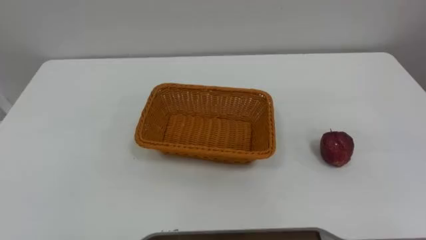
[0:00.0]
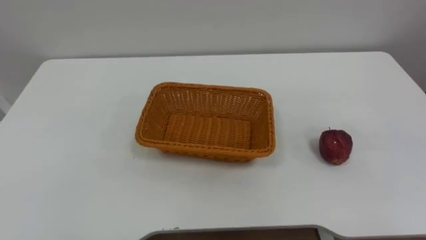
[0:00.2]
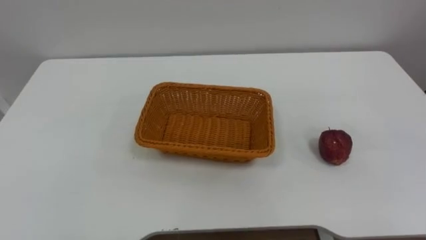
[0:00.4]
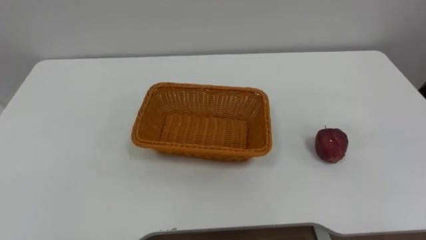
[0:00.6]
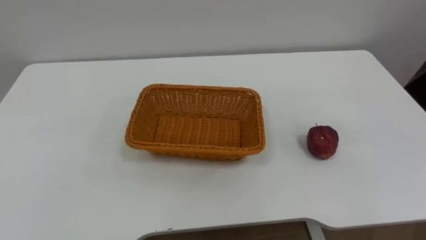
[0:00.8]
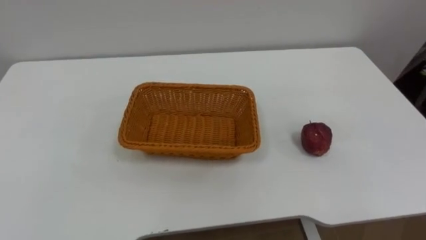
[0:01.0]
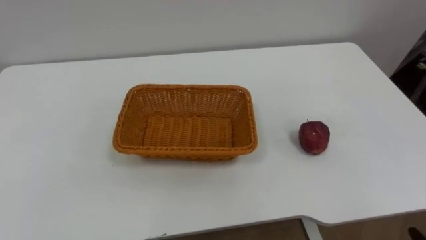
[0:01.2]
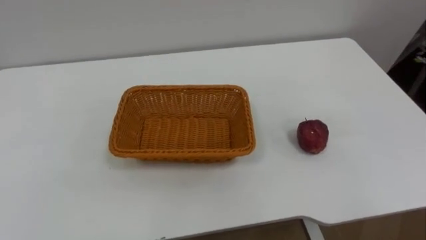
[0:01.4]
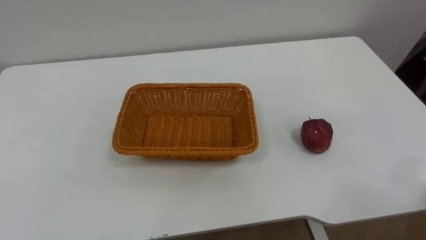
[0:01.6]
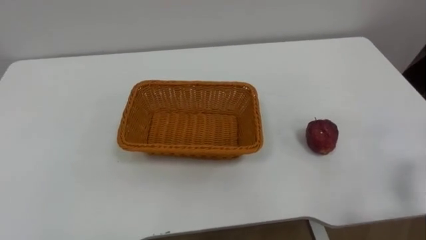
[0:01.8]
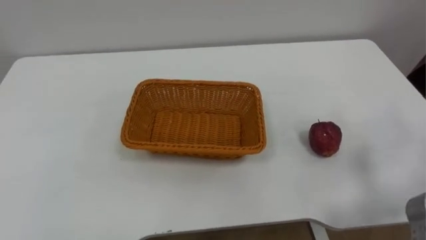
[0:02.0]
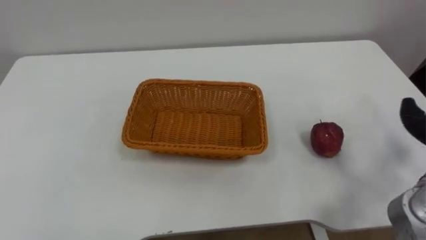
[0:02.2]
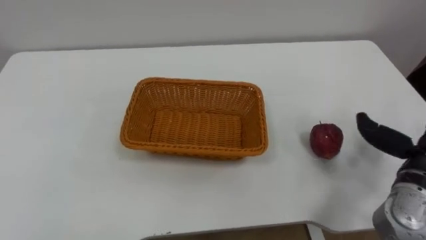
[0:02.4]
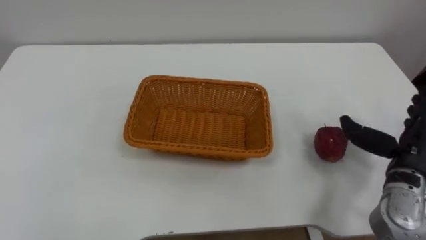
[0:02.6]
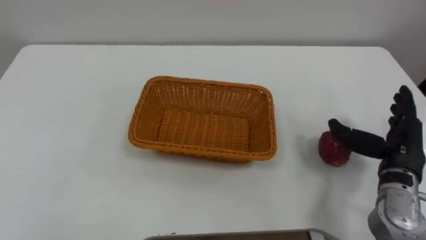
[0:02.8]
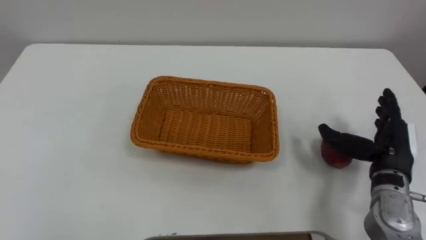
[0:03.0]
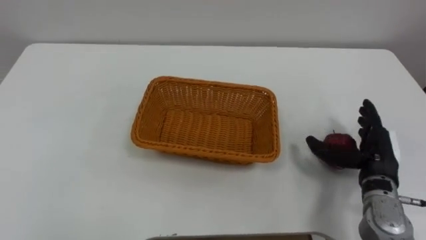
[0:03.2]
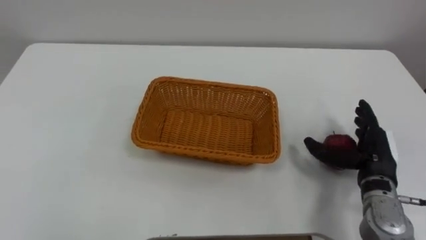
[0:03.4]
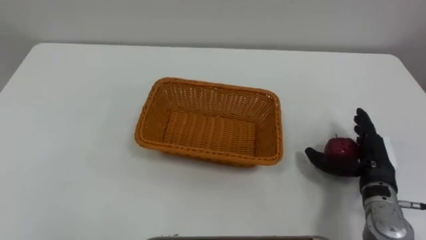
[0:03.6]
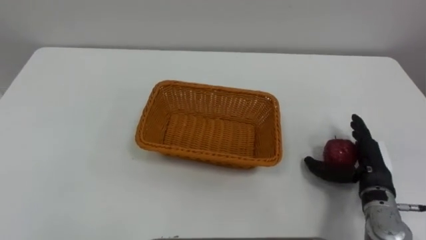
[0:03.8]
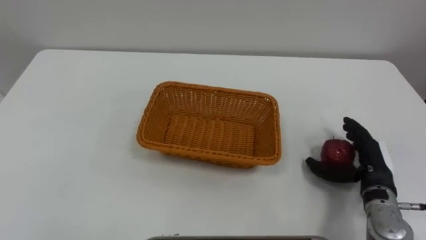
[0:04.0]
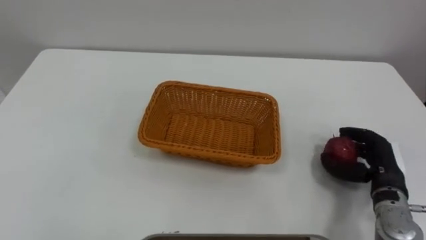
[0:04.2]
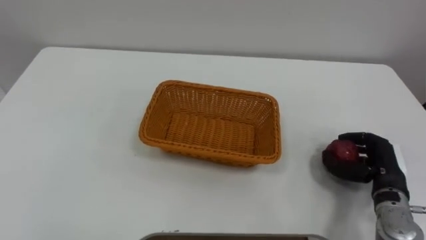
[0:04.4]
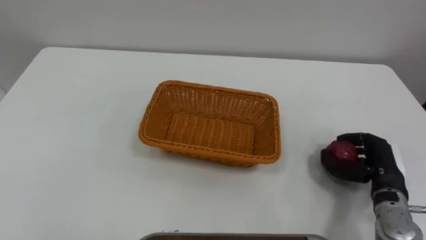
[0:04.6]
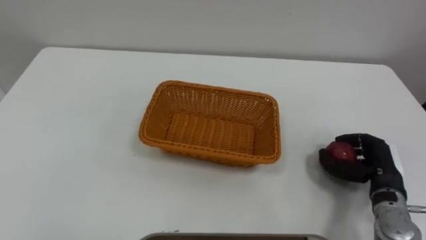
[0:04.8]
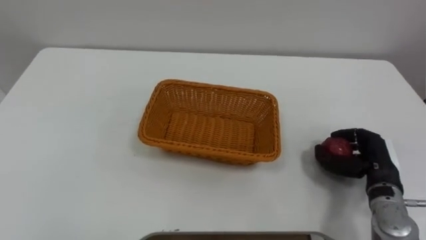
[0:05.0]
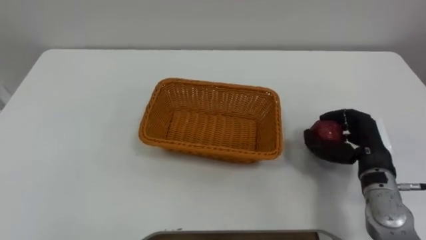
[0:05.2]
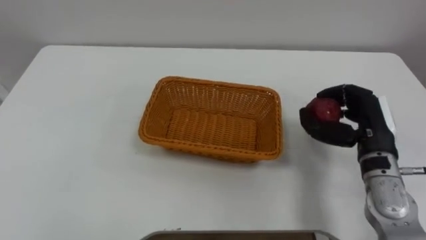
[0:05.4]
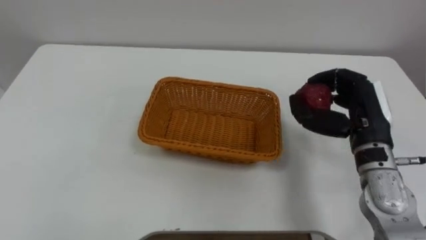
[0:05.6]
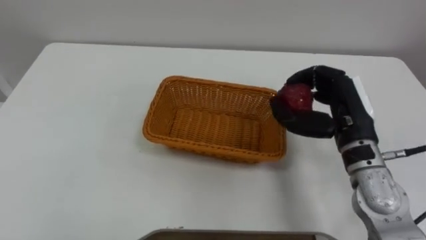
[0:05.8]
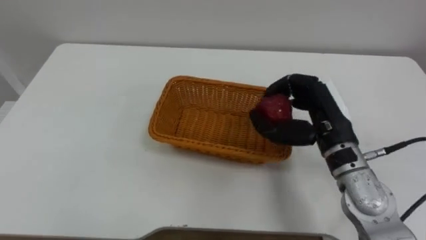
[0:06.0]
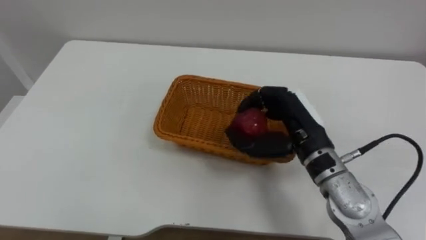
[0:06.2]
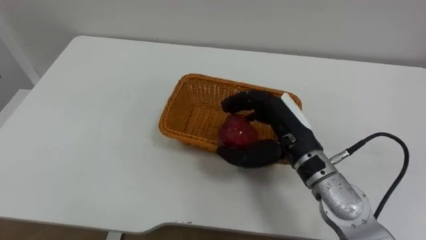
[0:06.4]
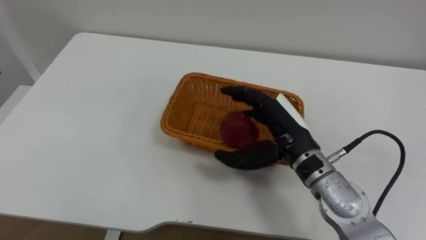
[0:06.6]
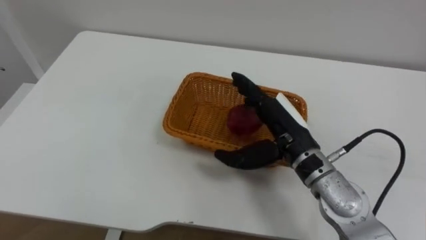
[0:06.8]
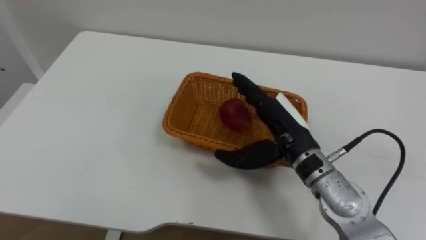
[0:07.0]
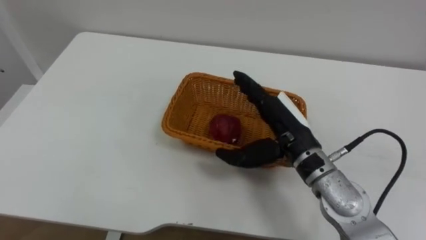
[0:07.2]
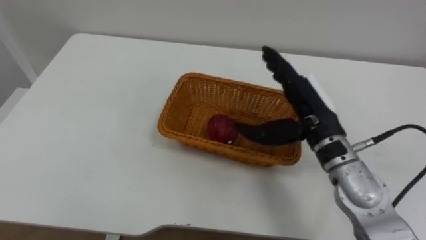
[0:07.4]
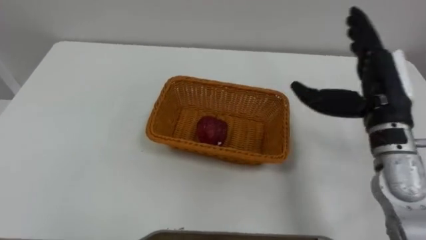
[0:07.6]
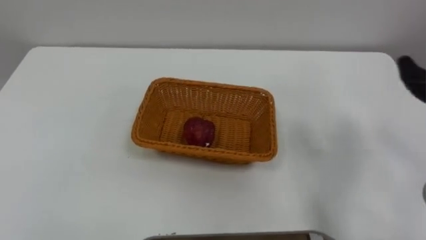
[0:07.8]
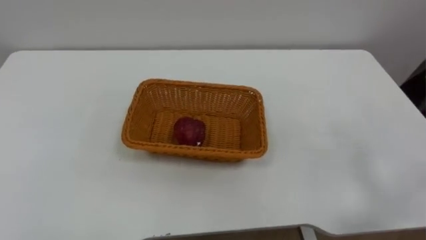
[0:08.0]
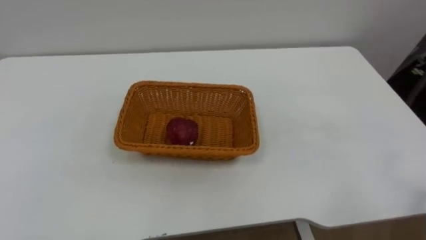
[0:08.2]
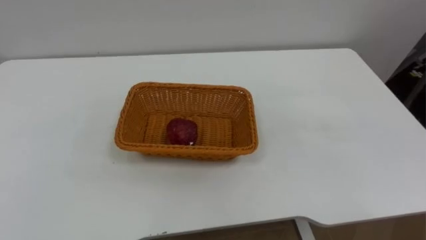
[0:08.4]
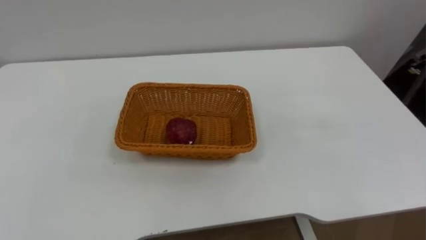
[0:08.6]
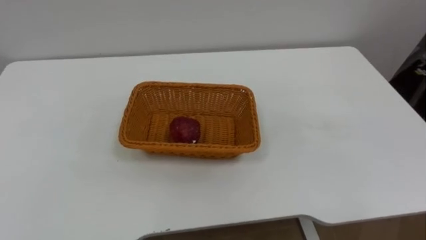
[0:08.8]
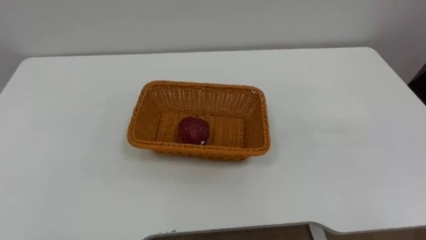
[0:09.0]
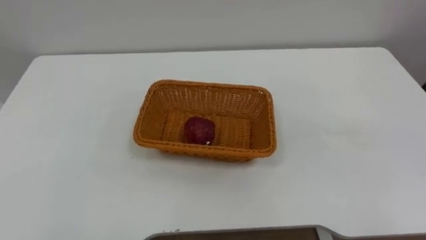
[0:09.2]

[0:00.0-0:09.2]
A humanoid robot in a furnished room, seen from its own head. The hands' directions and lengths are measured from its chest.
Task of the whole recording: Pick the apple and place it in the box.
0:03.0 to 0:04.6: The right hand goes some 5 cm downward, and closes its fingers.
0:04.6 to 0:06.2: The right hand is displaced to the left and upward by roughly 20 cm.
0:06.2 to 0:07.6: The right hand heads to the right and upward, covering about 15 cm, and opens its fingers.

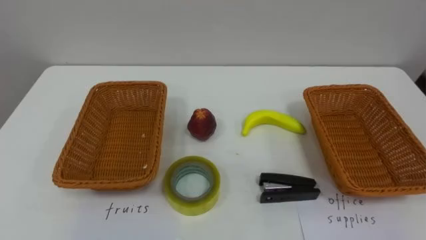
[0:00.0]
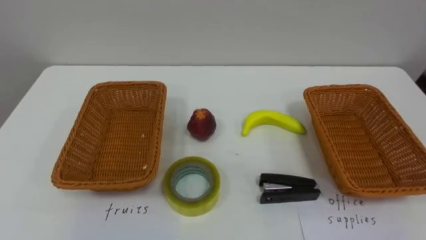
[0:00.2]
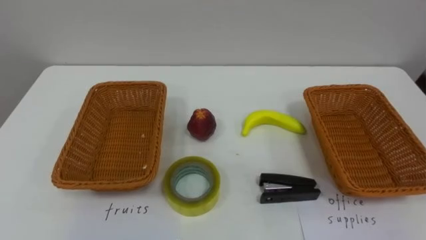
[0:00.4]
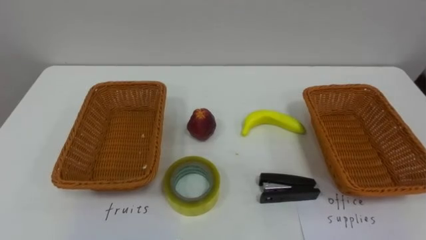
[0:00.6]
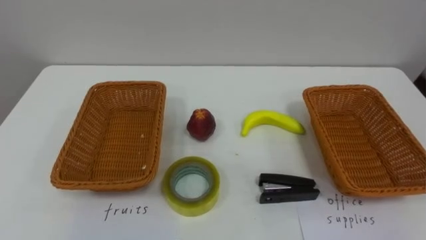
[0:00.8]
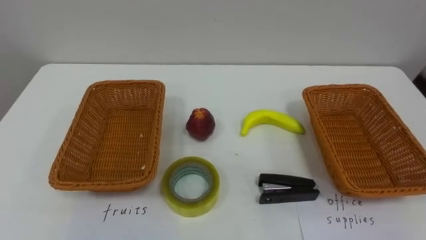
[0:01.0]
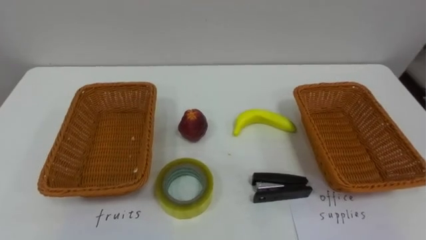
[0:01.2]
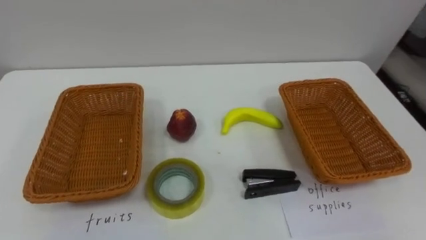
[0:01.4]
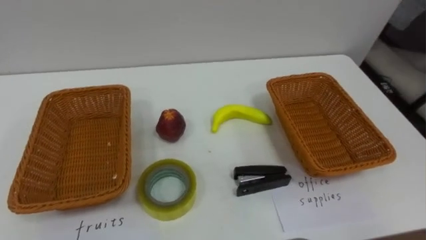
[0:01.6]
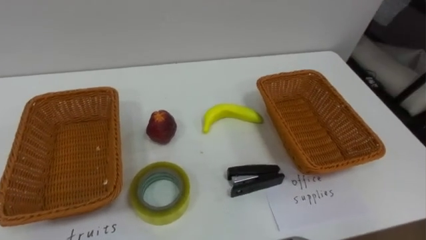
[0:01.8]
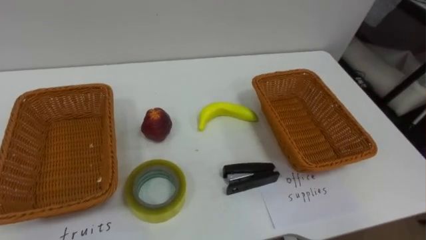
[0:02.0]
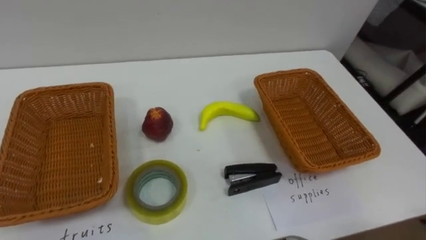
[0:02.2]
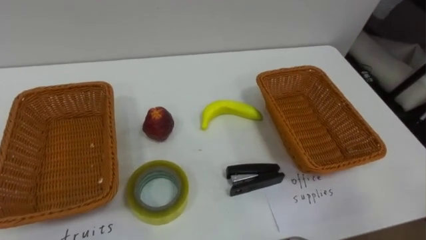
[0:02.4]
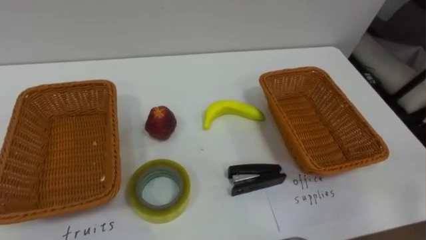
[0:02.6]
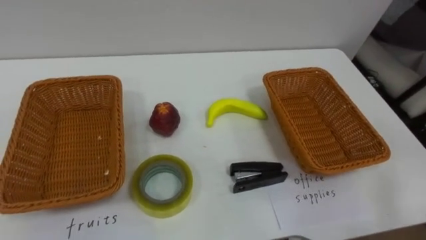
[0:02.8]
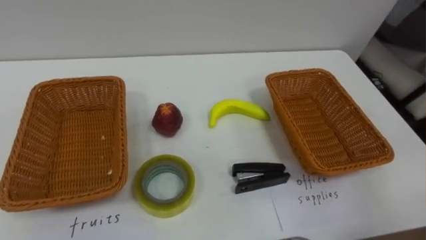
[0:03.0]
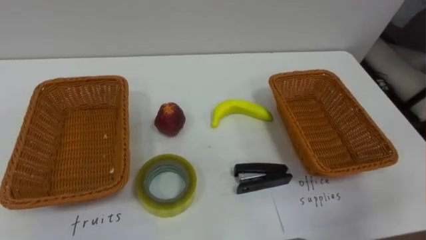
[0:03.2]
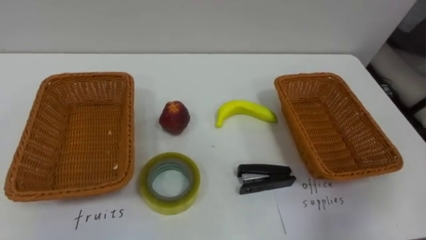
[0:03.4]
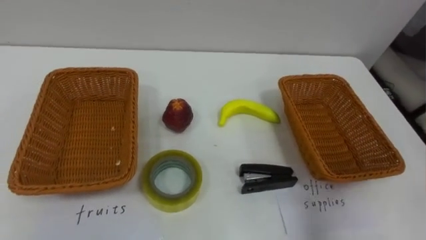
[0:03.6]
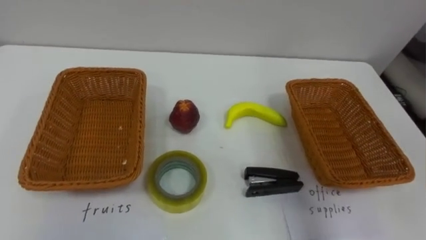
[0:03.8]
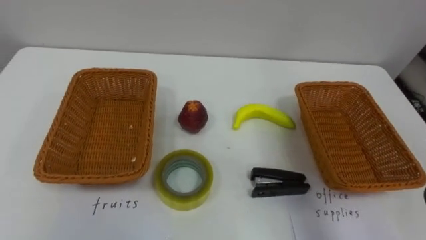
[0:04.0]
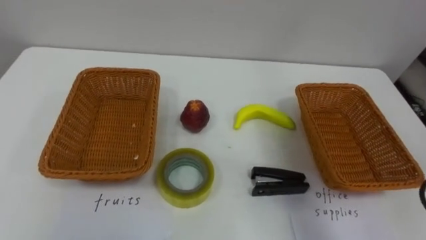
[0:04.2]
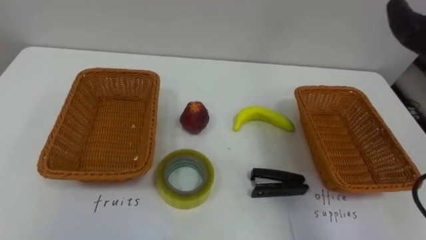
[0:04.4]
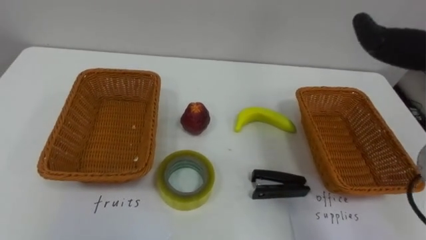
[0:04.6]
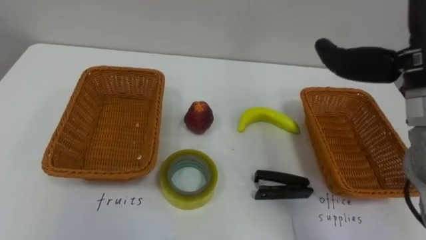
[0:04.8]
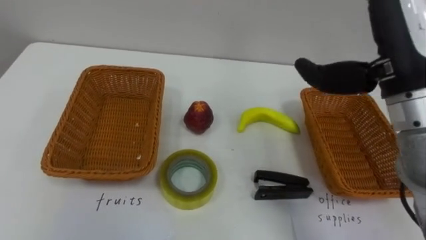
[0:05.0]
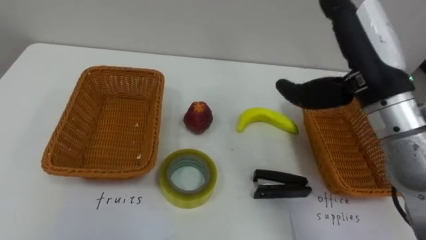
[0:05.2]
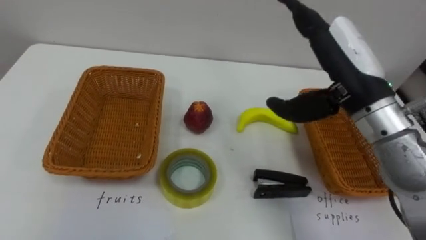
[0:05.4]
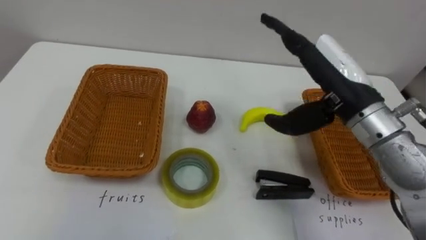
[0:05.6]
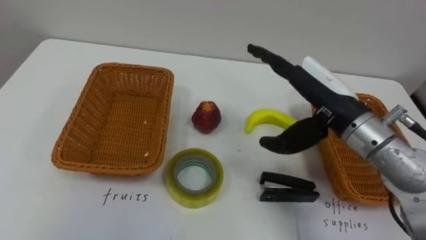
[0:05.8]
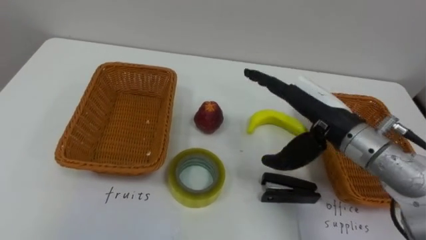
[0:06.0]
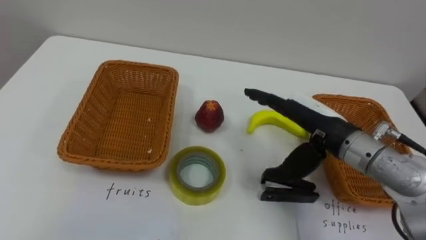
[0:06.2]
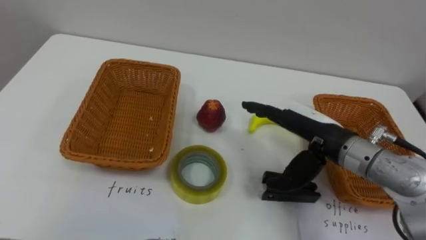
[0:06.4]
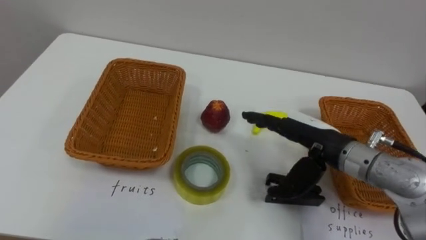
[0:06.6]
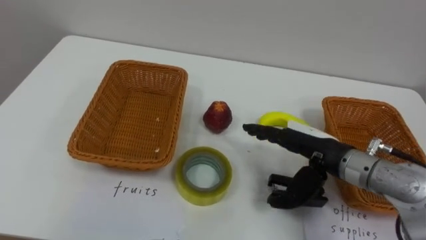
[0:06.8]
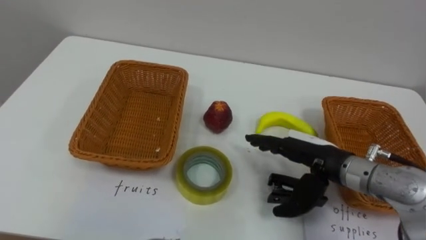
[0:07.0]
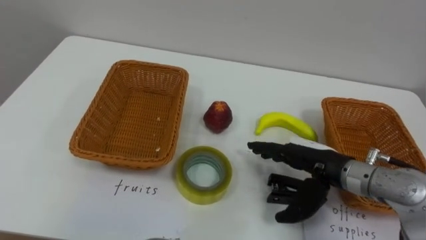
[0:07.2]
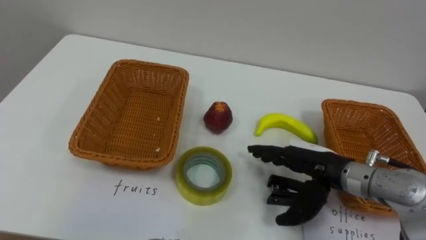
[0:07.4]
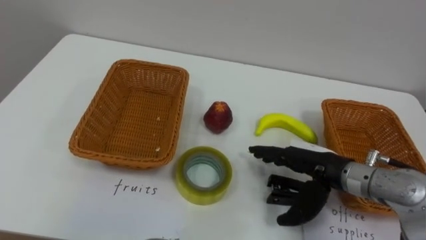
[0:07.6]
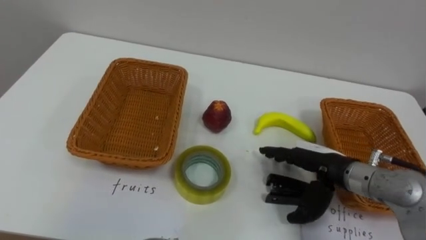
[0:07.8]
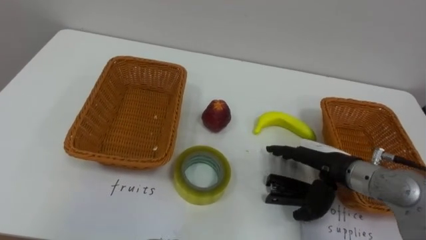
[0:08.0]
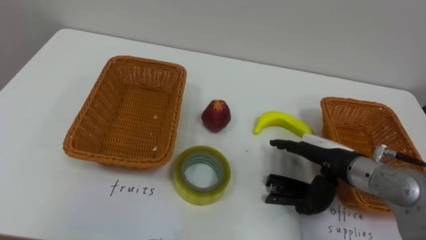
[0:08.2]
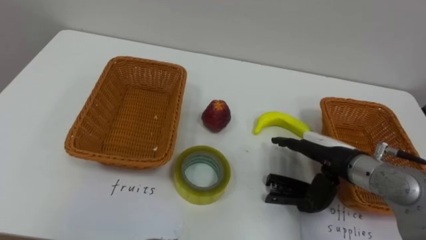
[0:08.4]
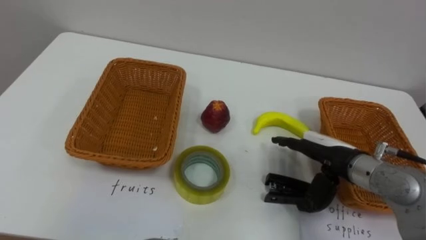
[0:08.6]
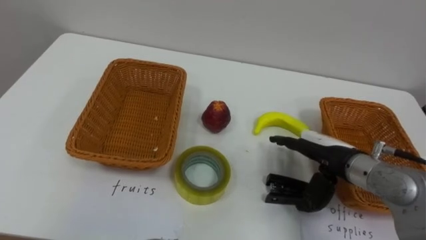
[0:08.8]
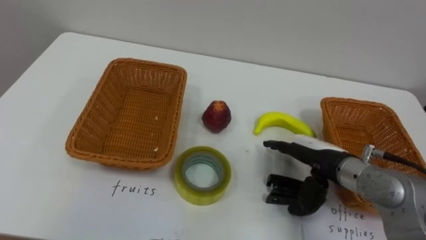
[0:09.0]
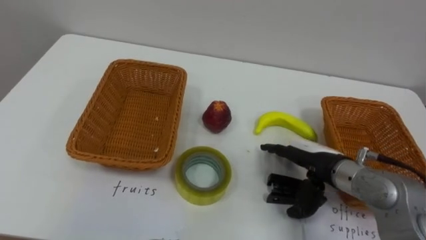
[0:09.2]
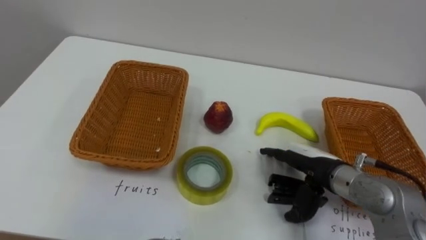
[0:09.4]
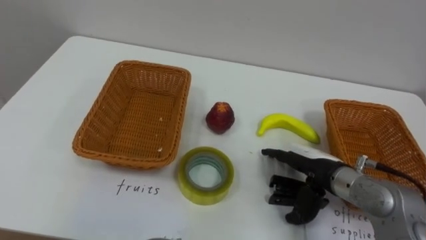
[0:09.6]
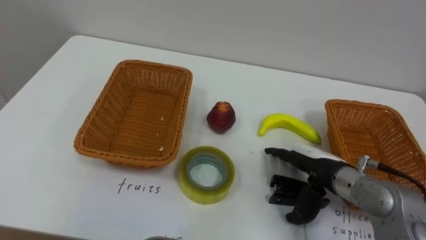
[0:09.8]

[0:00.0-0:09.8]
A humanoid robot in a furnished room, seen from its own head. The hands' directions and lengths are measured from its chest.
Task of the whole recording: Separate the items on the table and place them into the two baskets.
0:05.6 to 0:07.0: The right hand goes roughly 15 cm downward.
